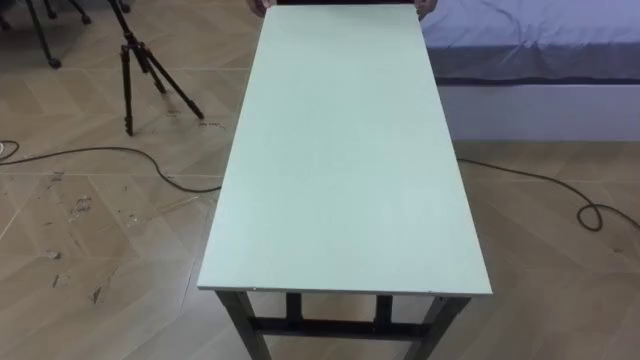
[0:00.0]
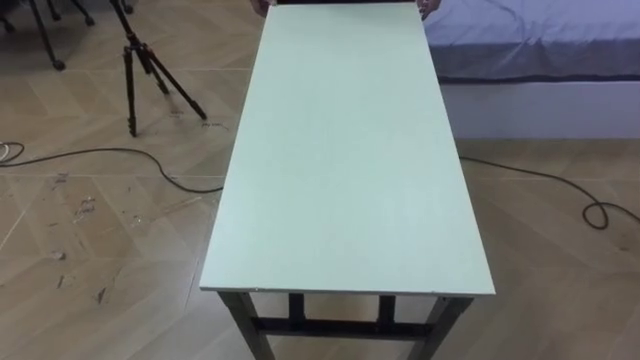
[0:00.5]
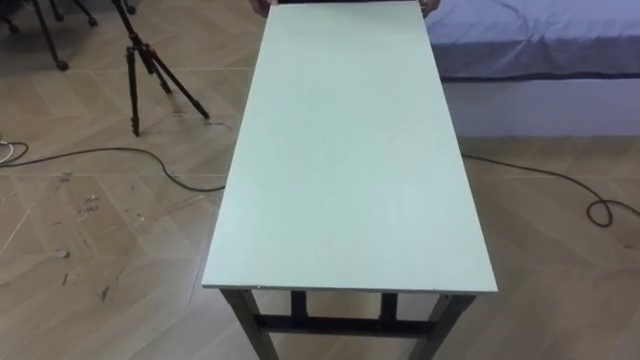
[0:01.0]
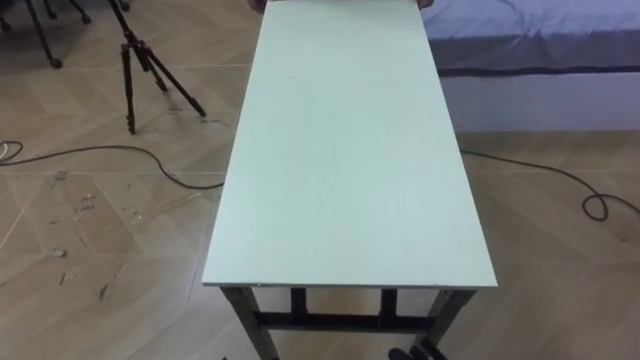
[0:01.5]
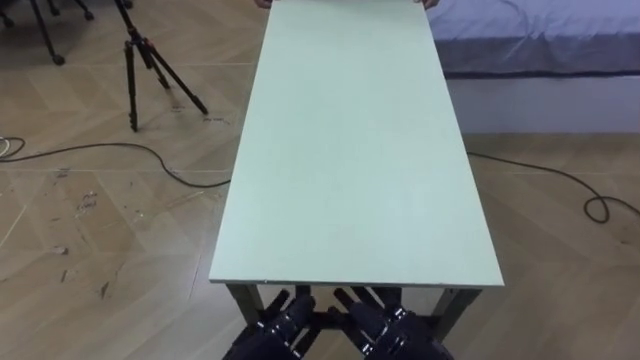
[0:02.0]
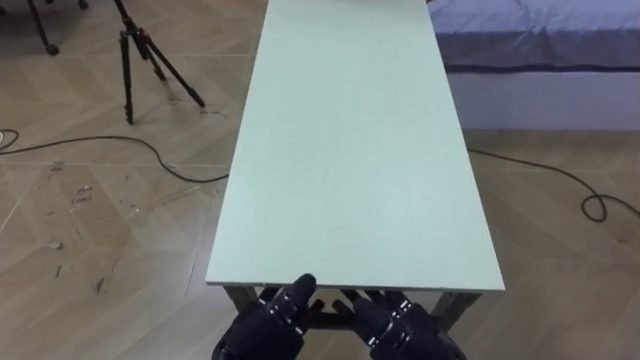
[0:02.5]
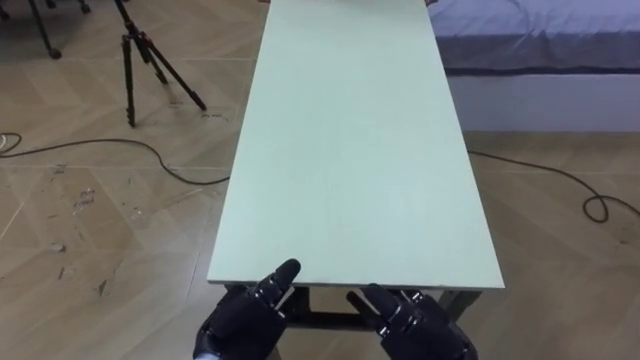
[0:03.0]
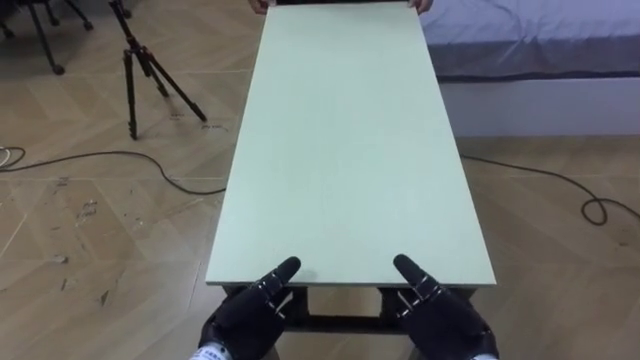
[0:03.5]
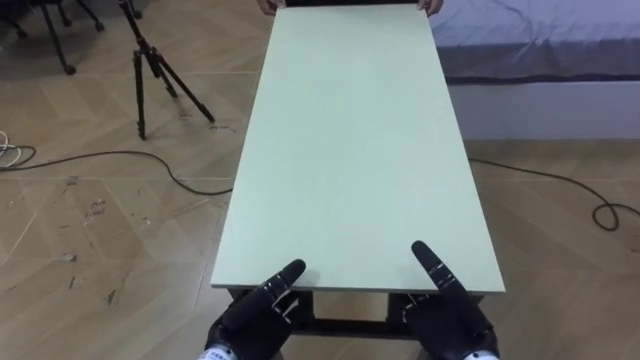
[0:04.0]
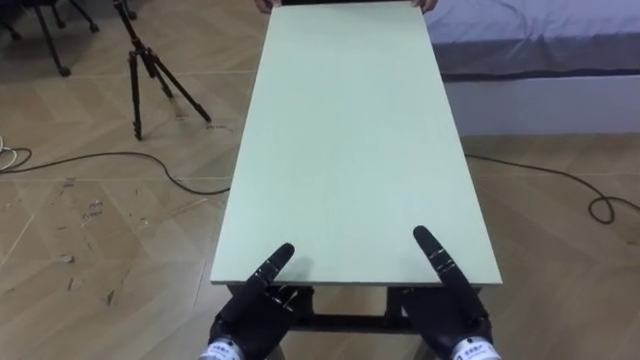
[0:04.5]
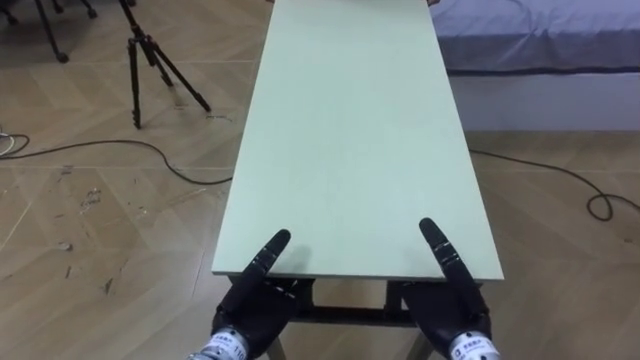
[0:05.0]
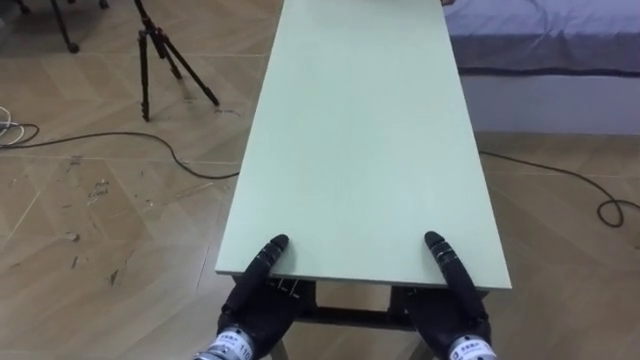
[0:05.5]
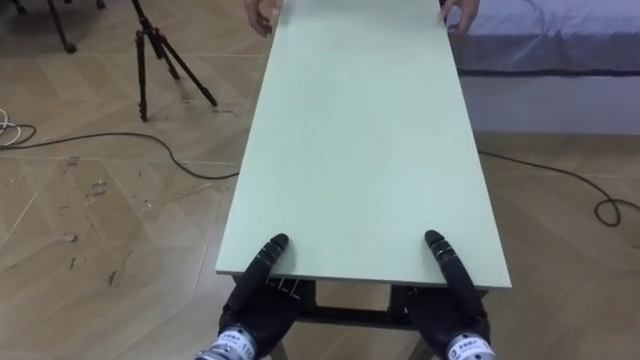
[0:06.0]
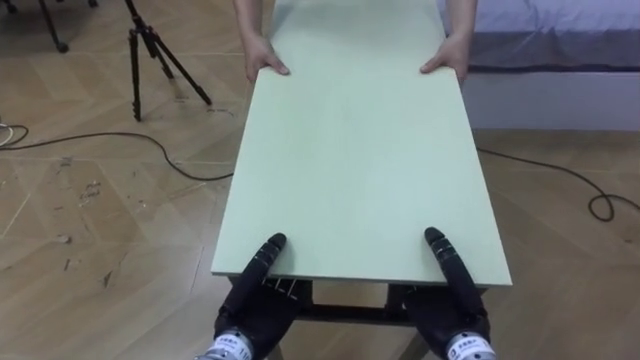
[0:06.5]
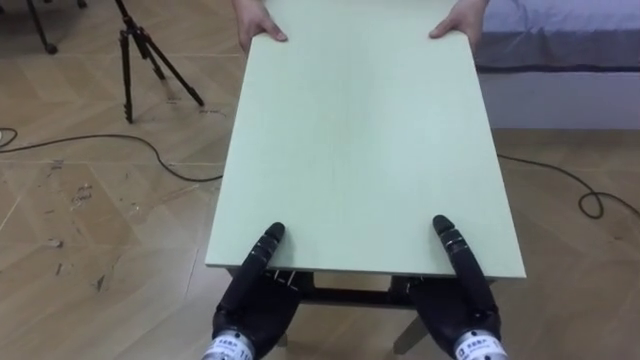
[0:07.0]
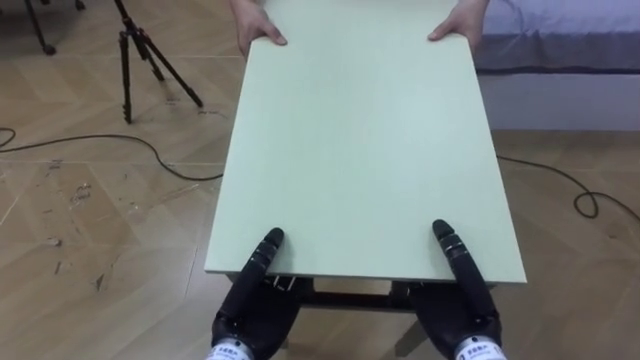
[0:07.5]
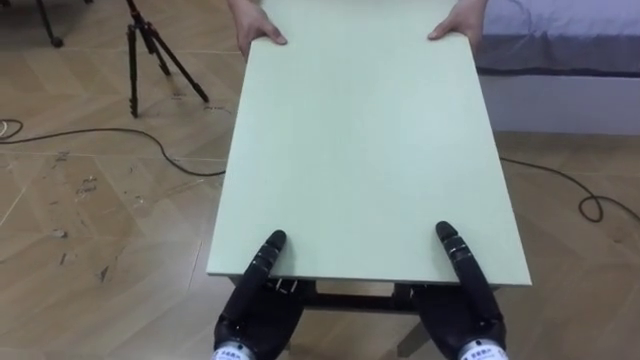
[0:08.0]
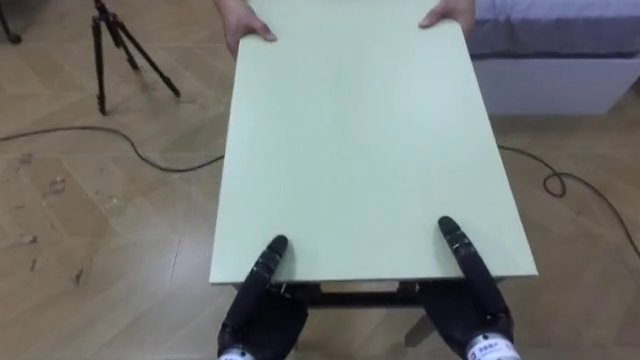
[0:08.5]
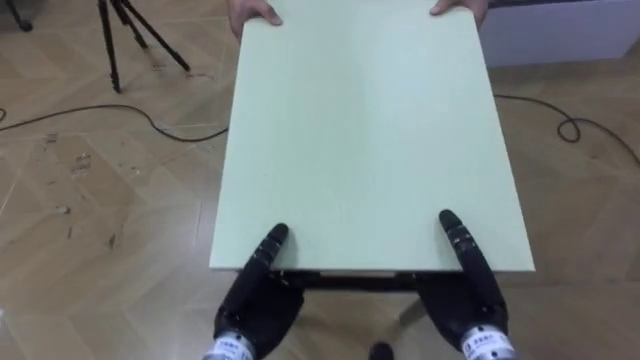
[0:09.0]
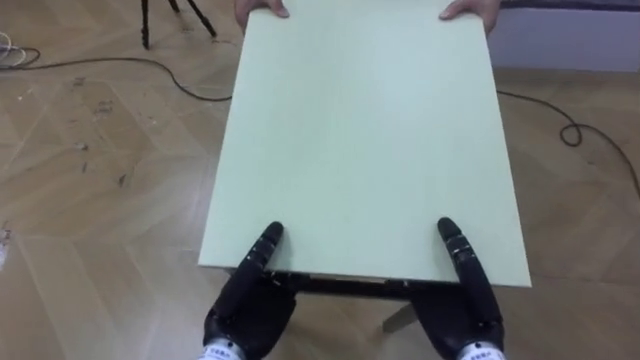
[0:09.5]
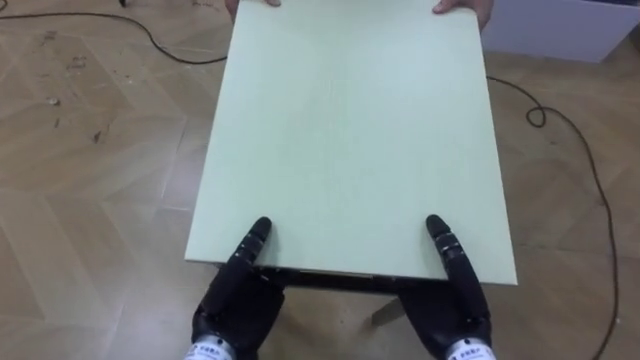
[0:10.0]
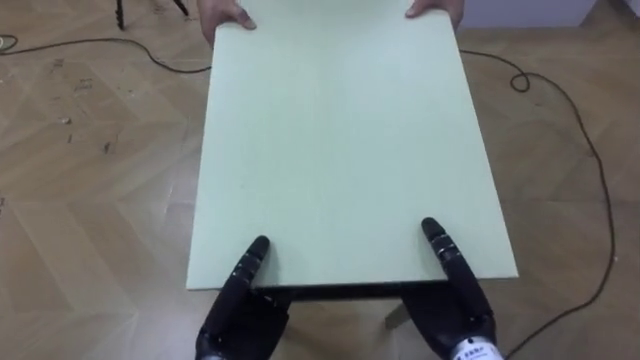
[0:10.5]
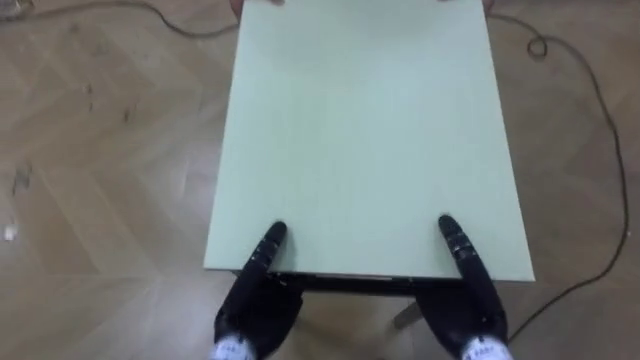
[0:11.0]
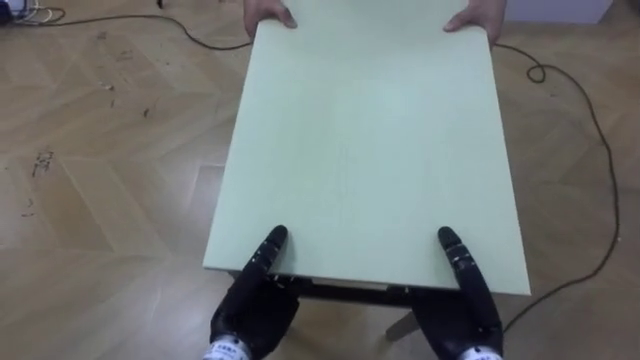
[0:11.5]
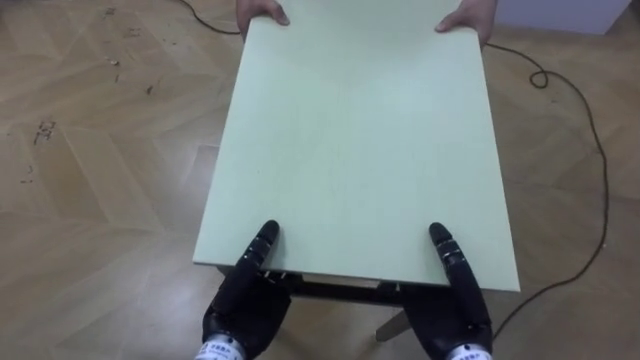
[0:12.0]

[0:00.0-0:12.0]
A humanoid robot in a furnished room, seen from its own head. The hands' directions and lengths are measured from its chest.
Task of the whole recording: Move the table to the back left with someone.
0:02.0 to 0:04.0: The right hand shifts some 5 cm to the right.
0:04.0 to 0:06.0: The right hand closes, while the left hand closes its fingers.

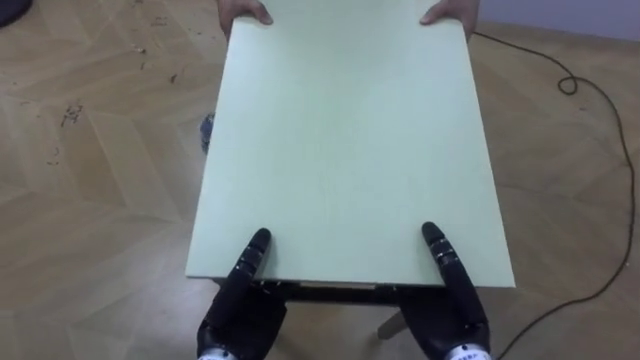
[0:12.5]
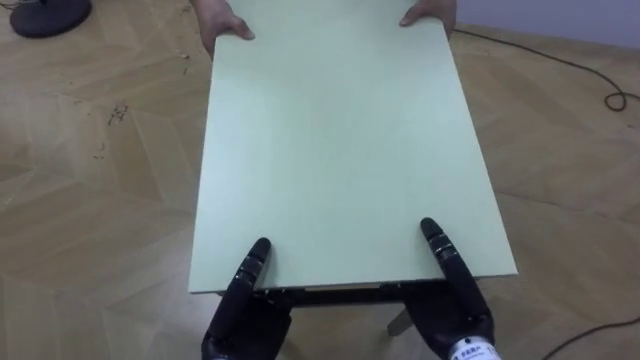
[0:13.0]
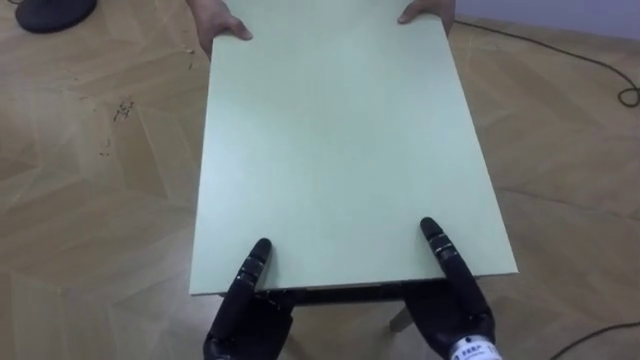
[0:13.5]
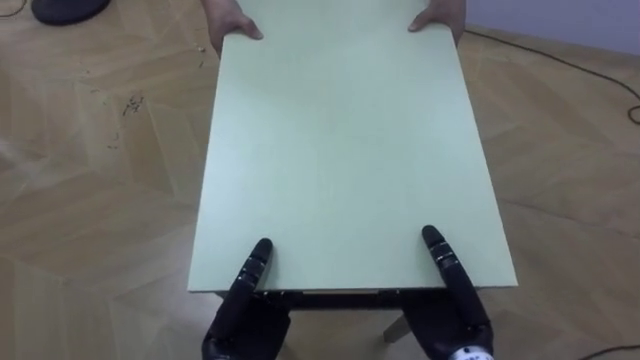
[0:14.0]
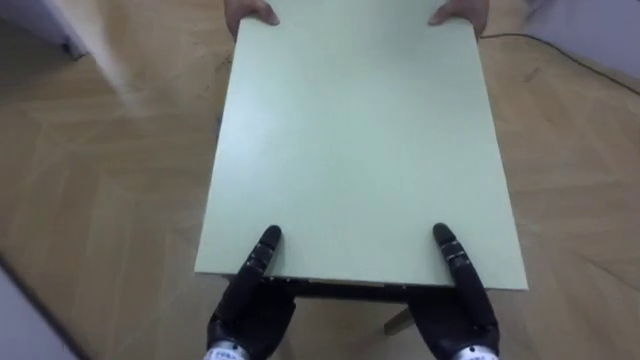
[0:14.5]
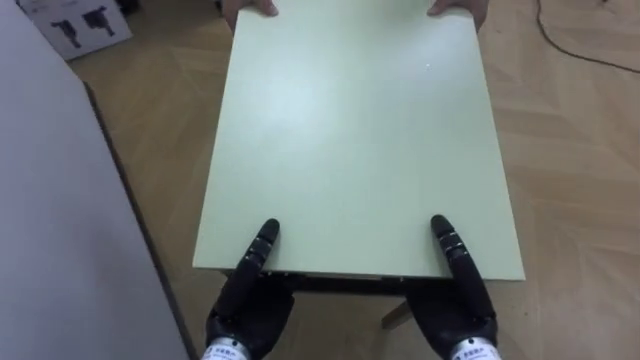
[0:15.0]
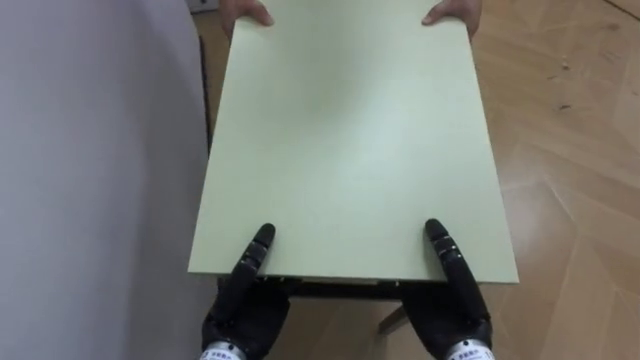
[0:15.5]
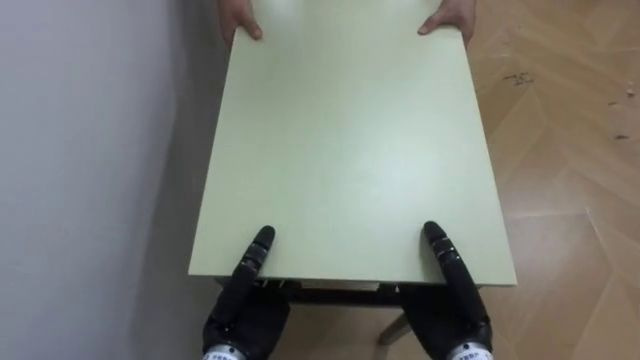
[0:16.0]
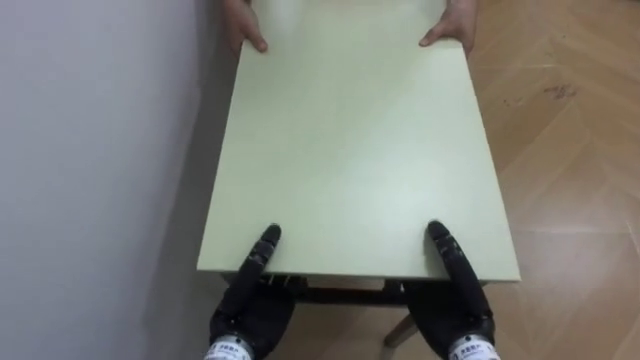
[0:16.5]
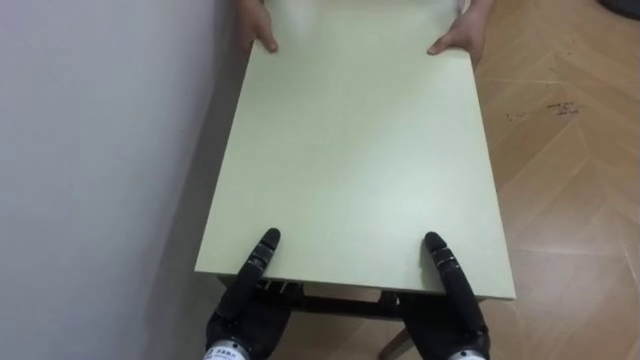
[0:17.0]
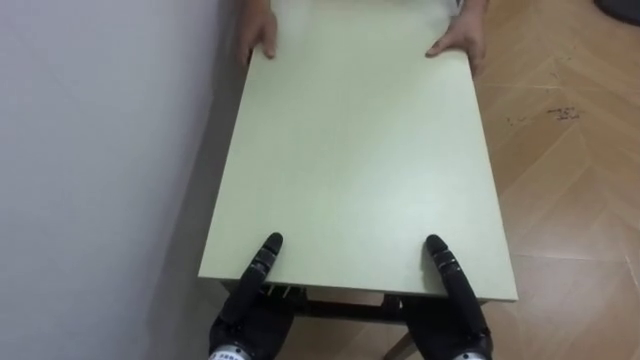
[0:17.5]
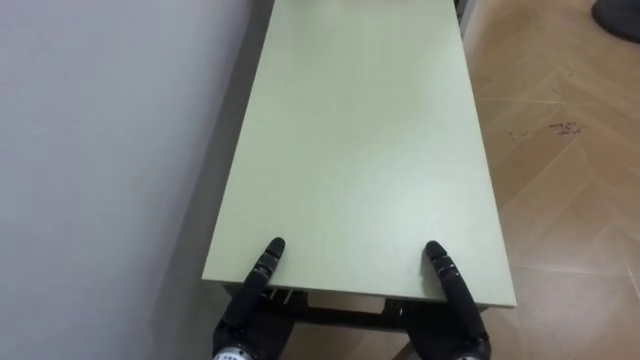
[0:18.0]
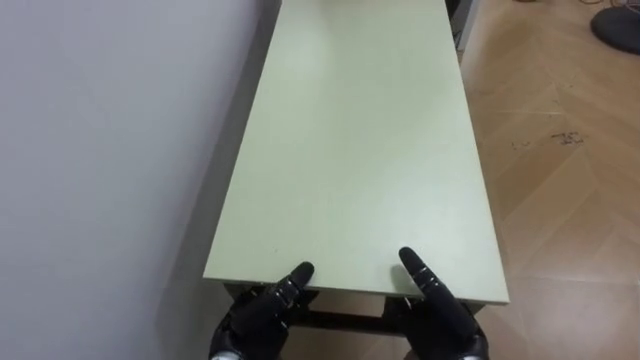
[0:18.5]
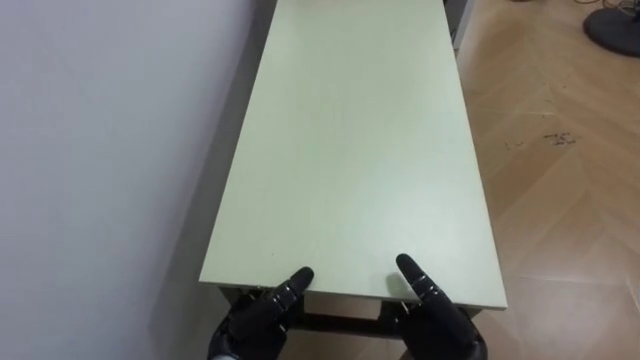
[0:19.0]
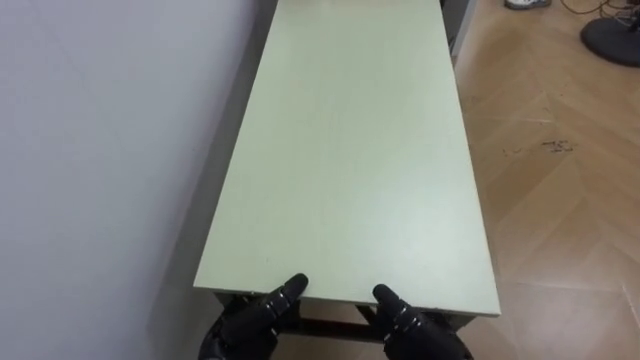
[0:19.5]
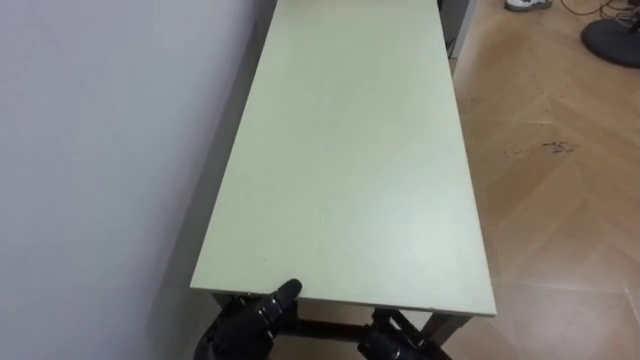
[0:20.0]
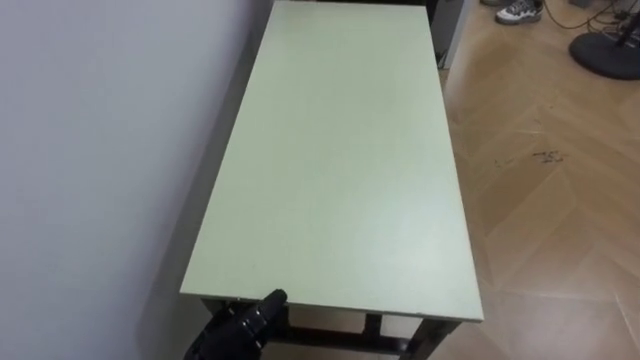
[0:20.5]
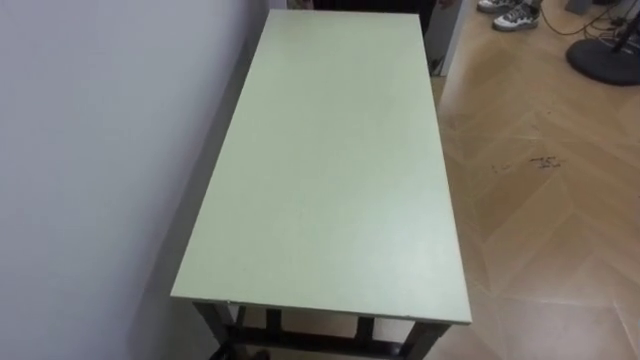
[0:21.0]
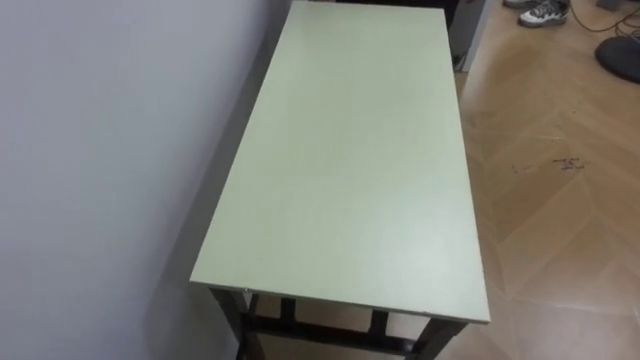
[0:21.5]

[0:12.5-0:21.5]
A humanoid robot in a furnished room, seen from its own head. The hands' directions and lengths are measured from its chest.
Task of the whole recording: Move the table to the back left with someone.
0:12.5 to 0:14.5: The robot's body swings some 30 degrees to its left.
0:14.5 to 0:17.0: The robot's body swings about 55 degrees to its left.
0:17.0 to 0:19.5: The left hand changes place by some 5 cm, and opens up. The right hand opens its fingers.
